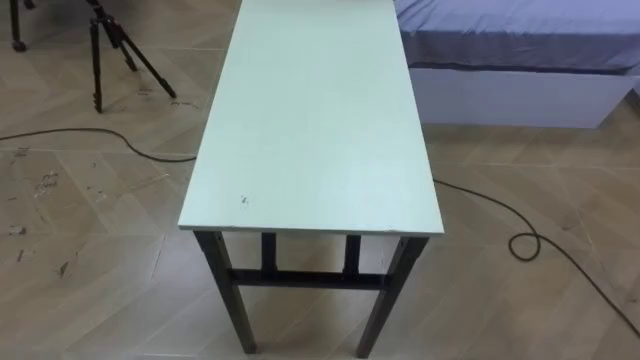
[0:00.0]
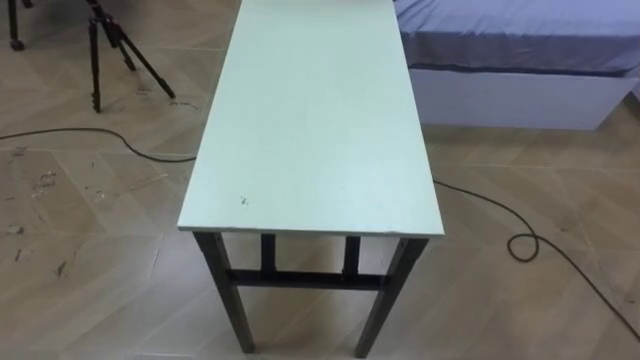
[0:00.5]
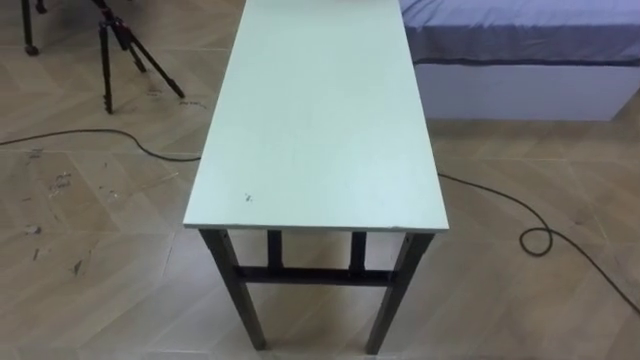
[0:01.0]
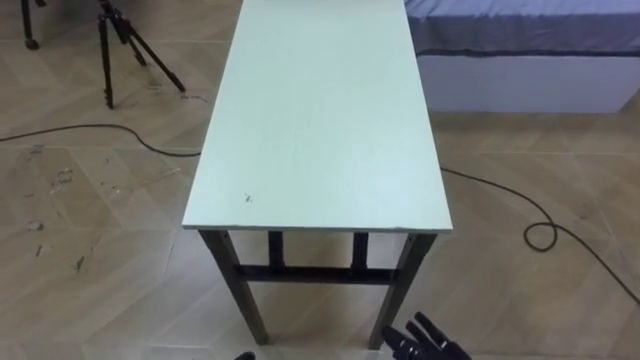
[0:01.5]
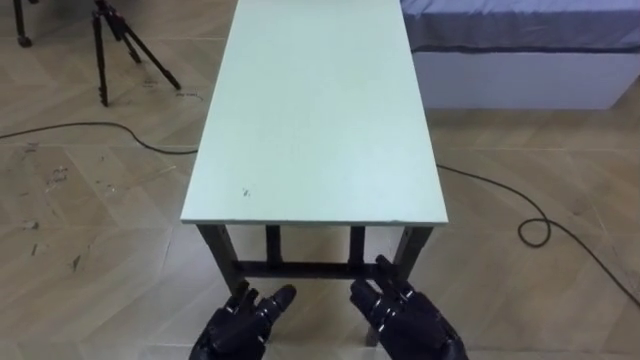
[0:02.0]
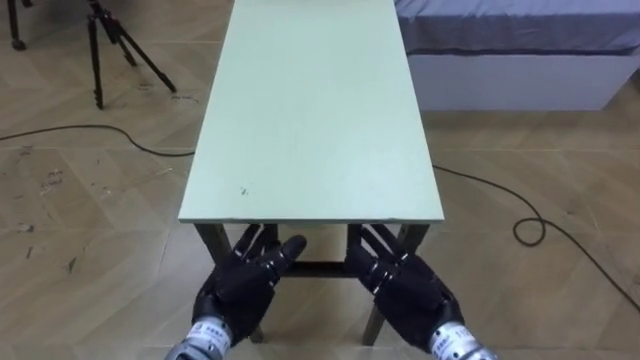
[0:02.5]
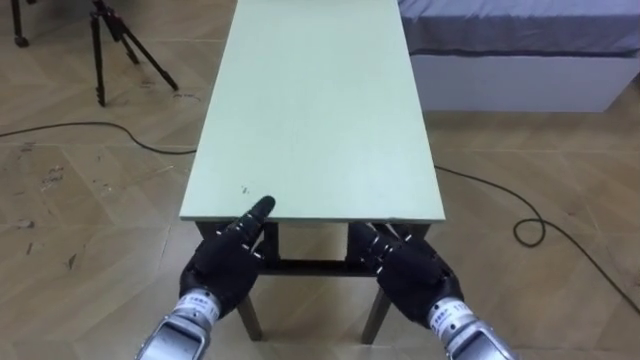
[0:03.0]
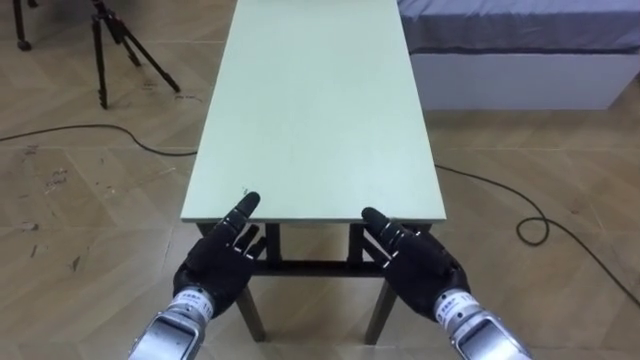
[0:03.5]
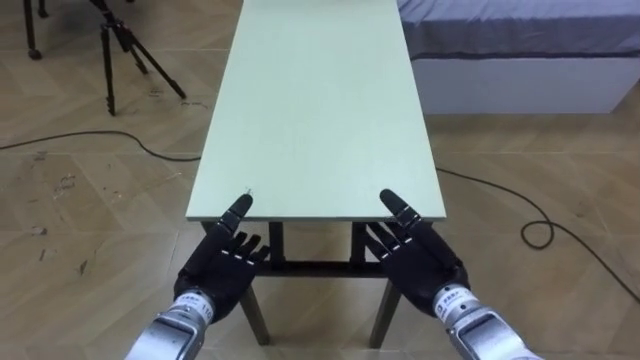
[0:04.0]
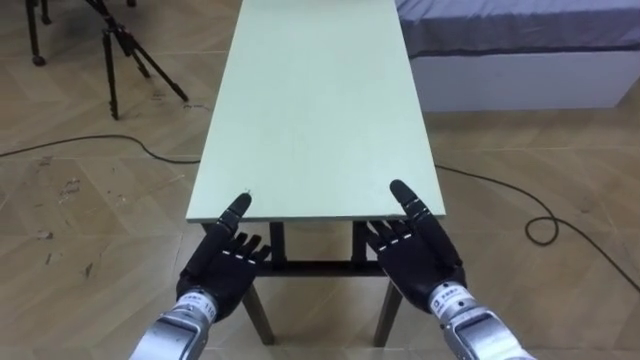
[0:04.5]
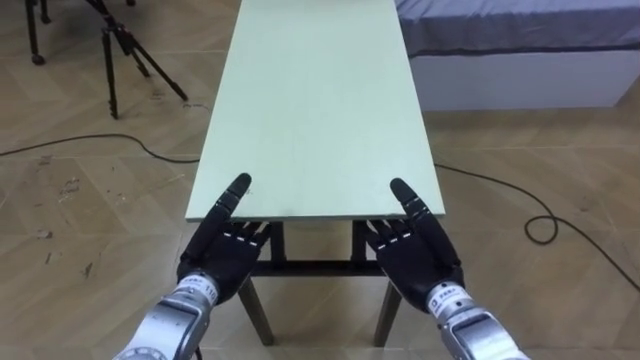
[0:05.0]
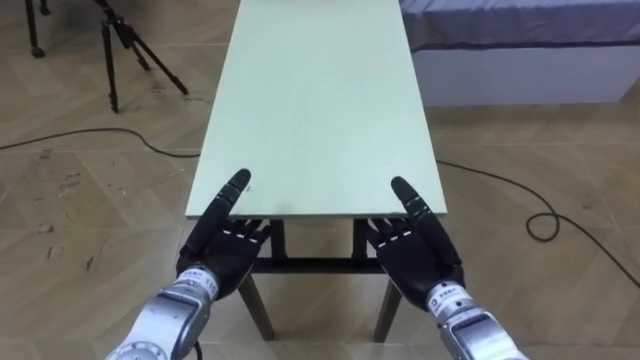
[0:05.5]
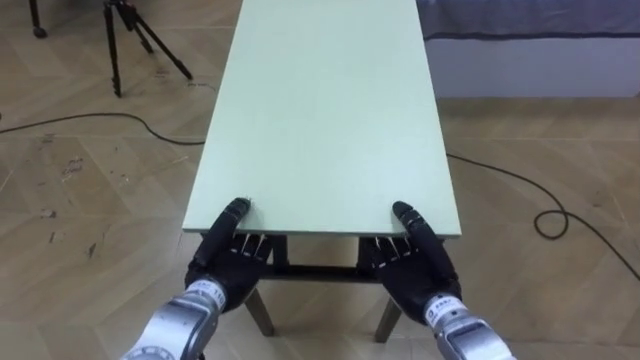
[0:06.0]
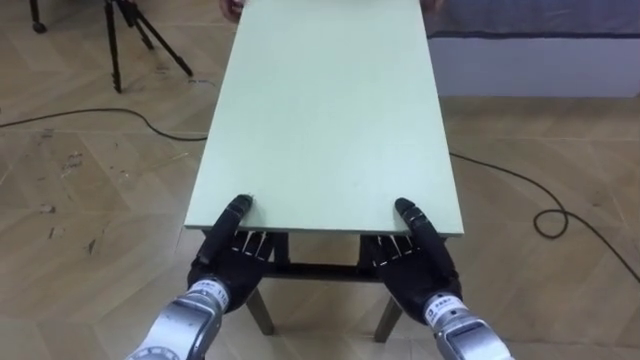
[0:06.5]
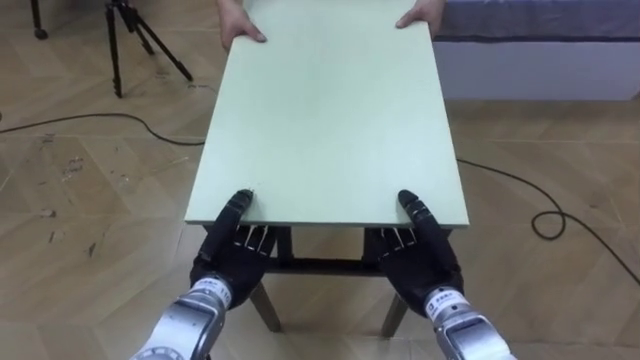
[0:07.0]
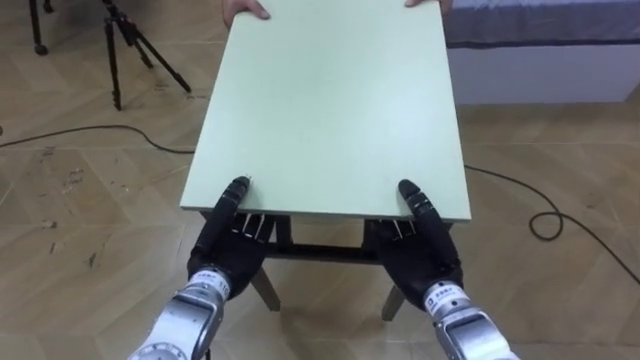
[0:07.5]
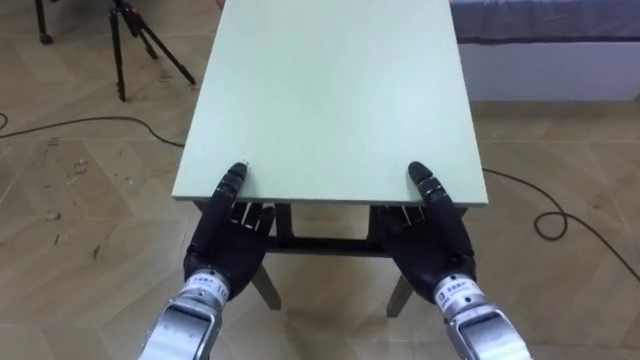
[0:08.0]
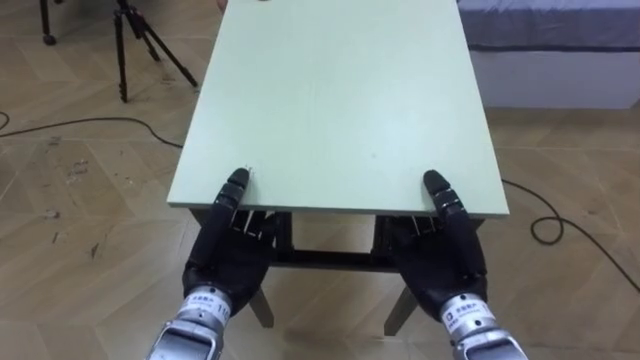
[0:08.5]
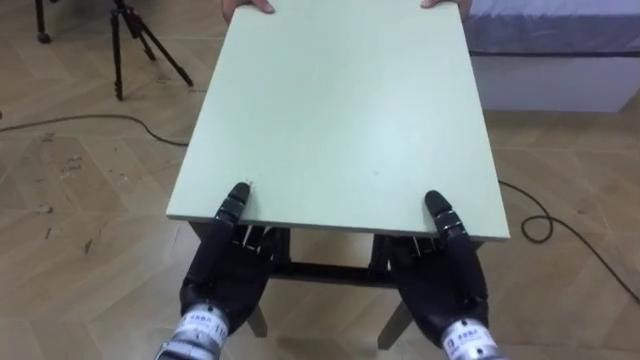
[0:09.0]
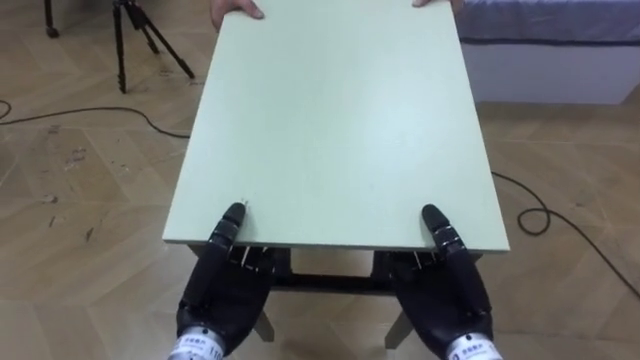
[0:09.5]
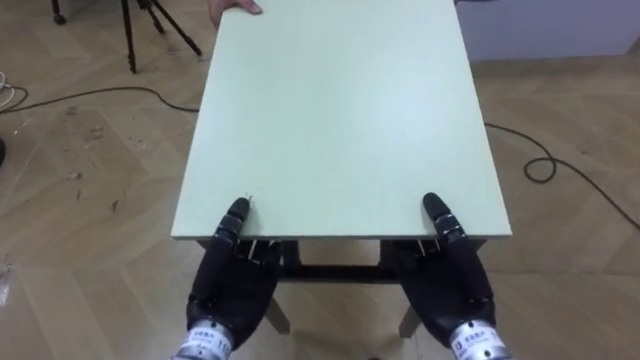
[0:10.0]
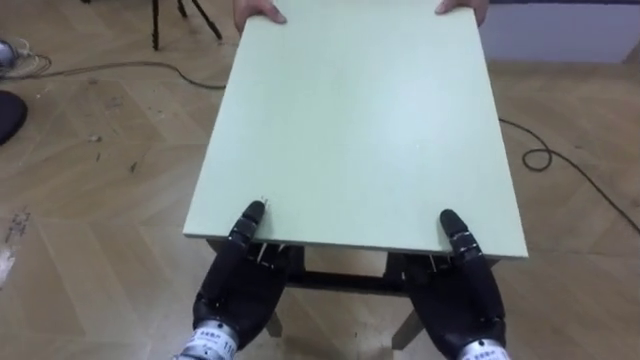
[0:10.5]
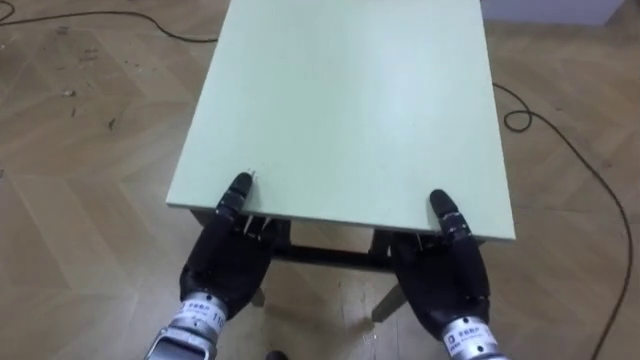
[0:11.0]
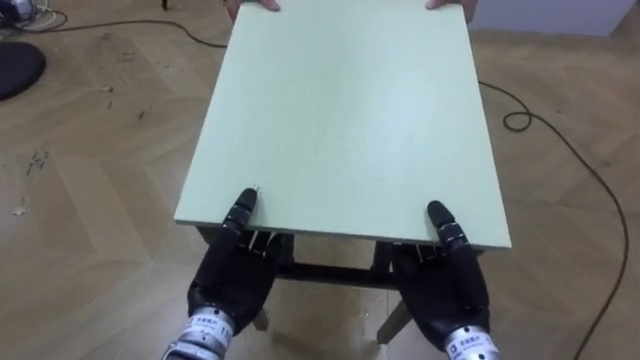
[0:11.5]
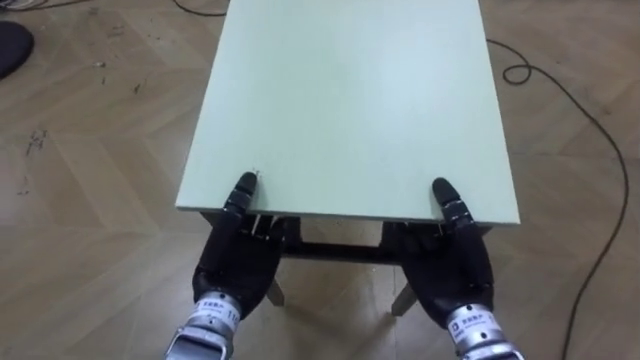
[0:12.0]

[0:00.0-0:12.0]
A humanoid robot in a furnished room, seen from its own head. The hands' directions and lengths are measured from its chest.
Task of the whole recording: Move the table to the back left with someone.
0:02.0 to 0:04.0: The left hand goes approximately 10 cm forward and upward. The right hand is displaced forward by about 10 cm.
0:04.0 to 0:06.0: The left hand closes up; the right hand closes.
0:06.0 to 0:08.0: The right hand goes about 5 cm upward.
0:08.0 to 0:10.0: The left hand ends up approximately 5 cm from where it was.

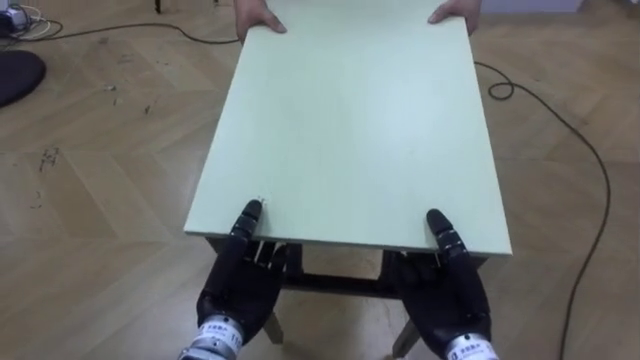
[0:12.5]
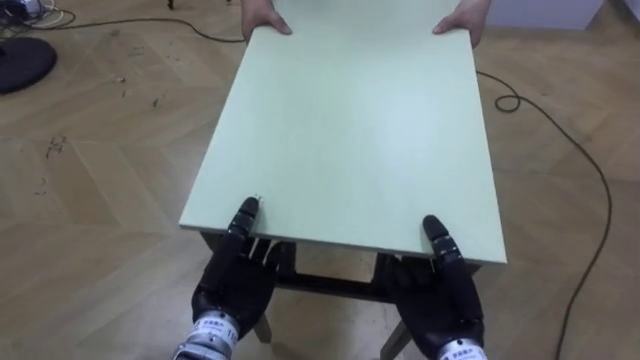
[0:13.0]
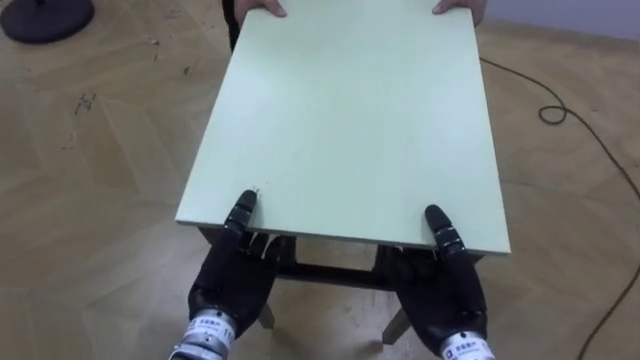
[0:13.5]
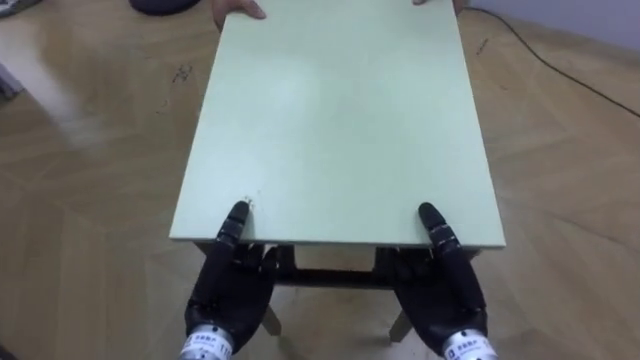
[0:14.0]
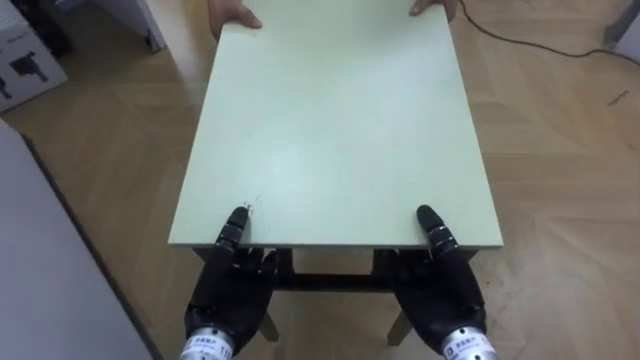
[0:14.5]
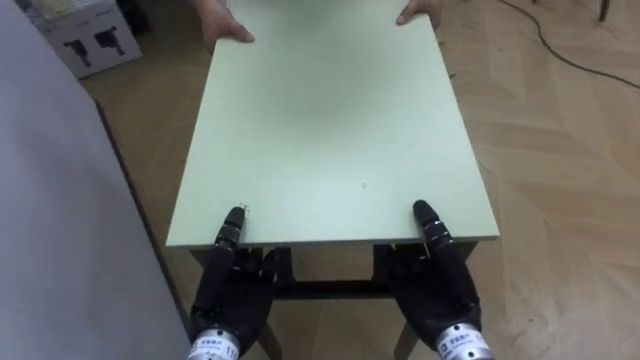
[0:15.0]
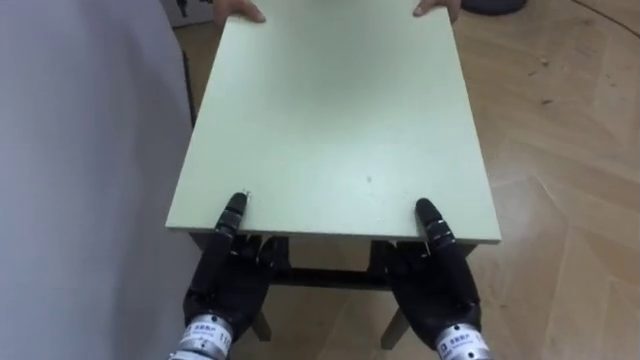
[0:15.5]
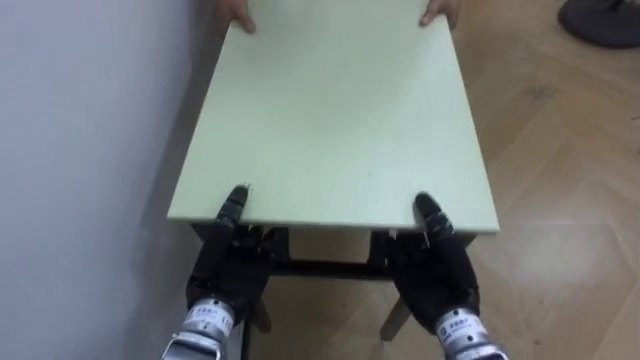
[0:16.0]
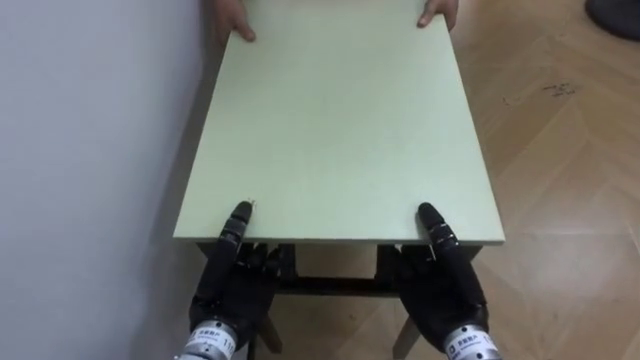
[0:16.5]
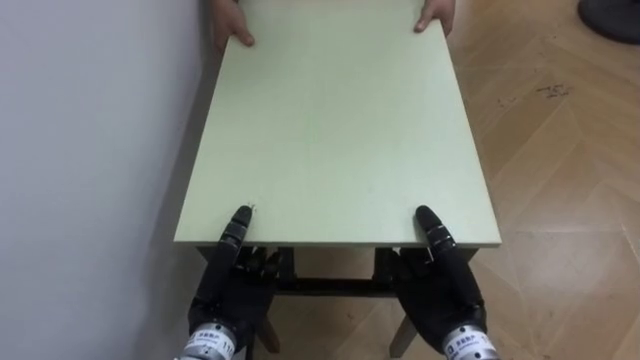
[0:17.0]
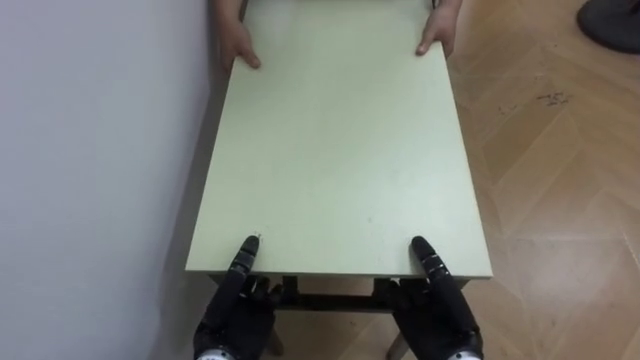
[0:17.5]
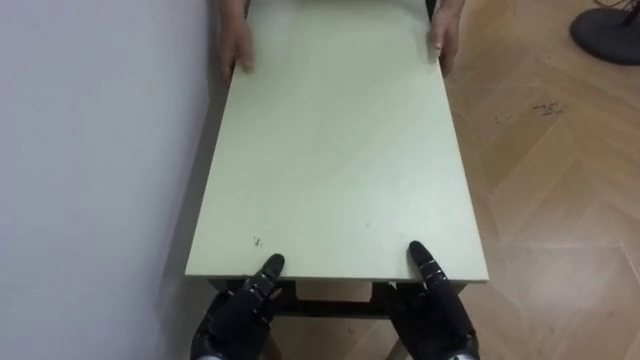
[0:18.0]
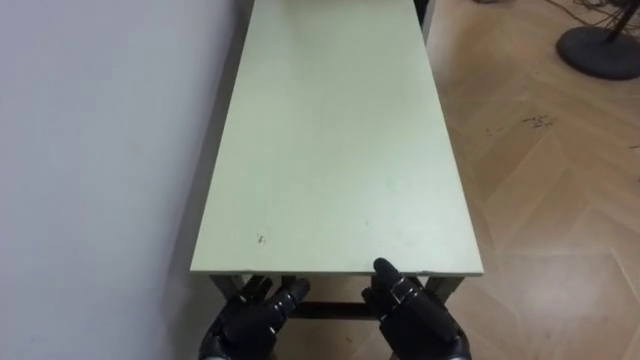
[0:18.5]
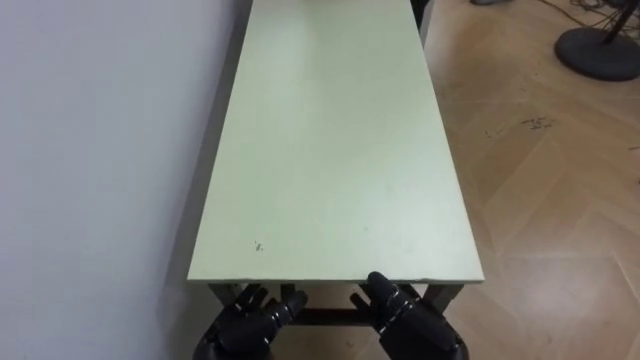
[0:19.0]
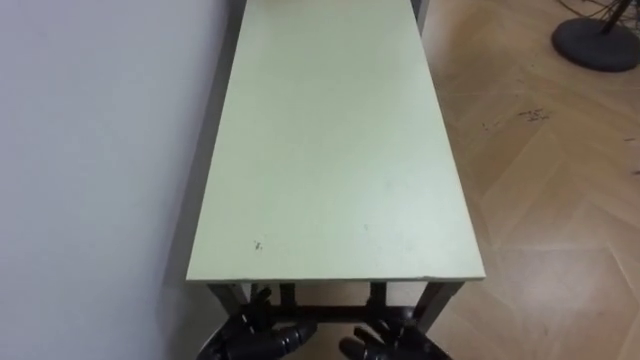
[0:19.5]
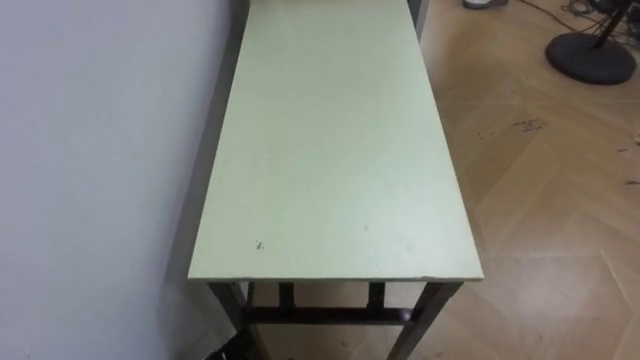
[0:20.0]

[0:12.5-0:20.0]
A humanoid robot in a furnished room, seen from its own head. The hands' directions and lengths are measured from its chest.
Task of the whole recording: Move the table to the back left with someone.
0:12.5 to 0:14.5: The robot faces approximately 35 degrees further to its left.
0:14.5 to 0:16.5: The robot rotates about 50 degrees to its left.
0:16.5 to 0:18.0: Both hands travel together downward, about 5 cm.
